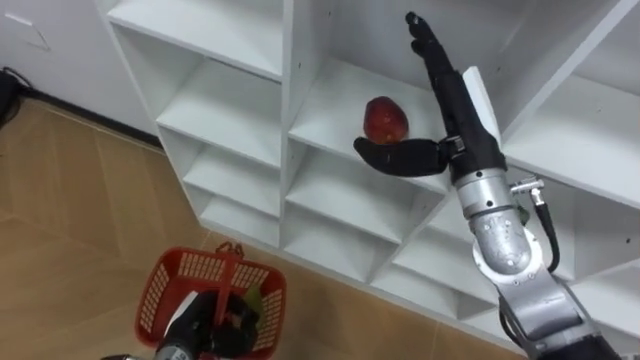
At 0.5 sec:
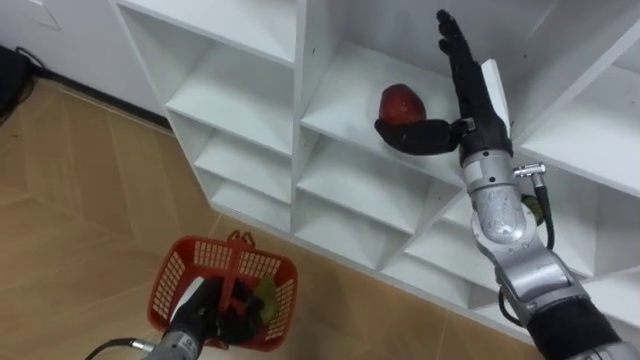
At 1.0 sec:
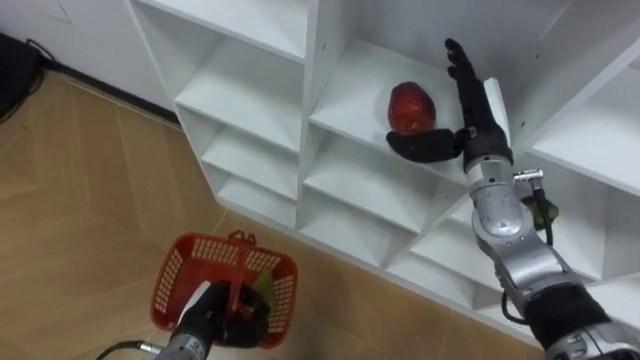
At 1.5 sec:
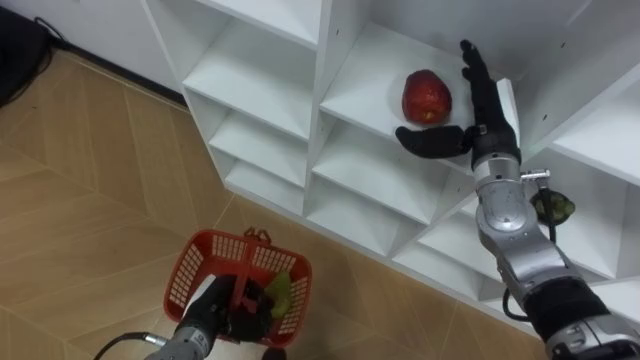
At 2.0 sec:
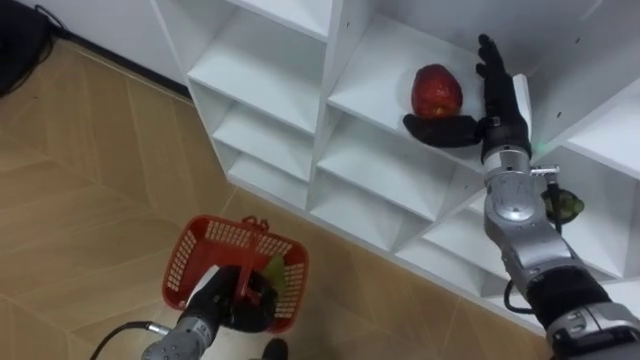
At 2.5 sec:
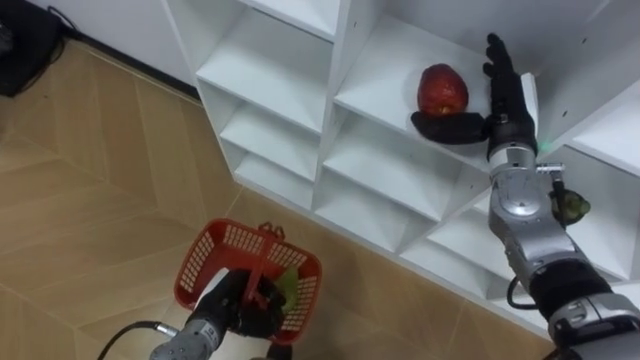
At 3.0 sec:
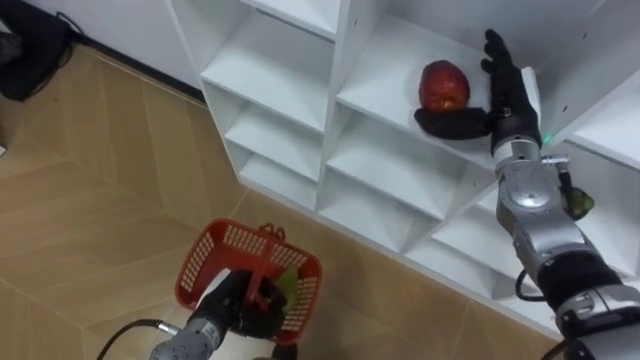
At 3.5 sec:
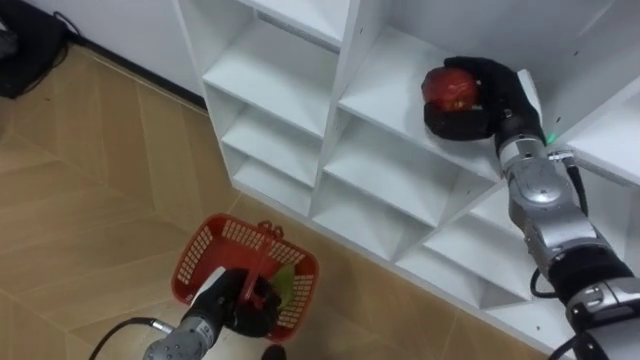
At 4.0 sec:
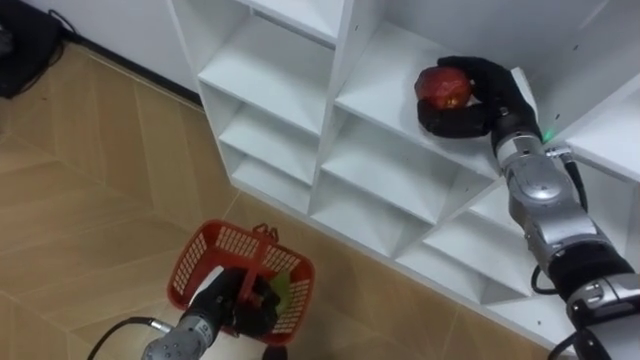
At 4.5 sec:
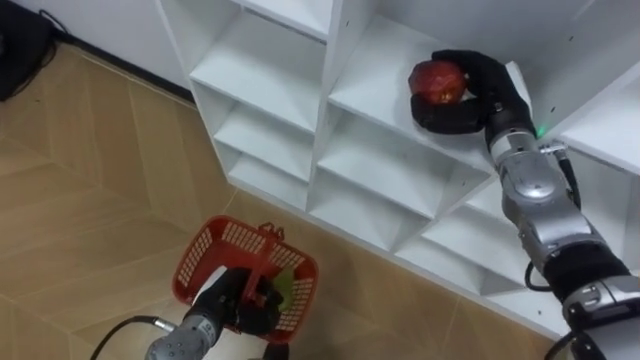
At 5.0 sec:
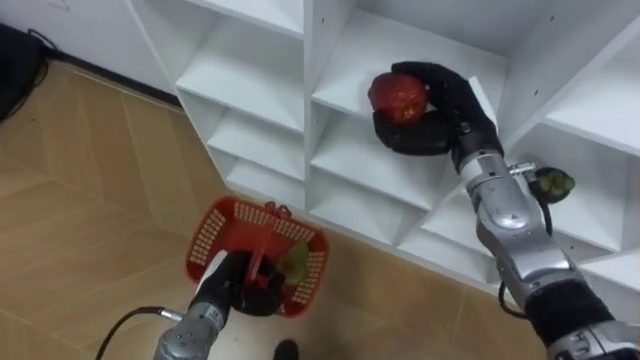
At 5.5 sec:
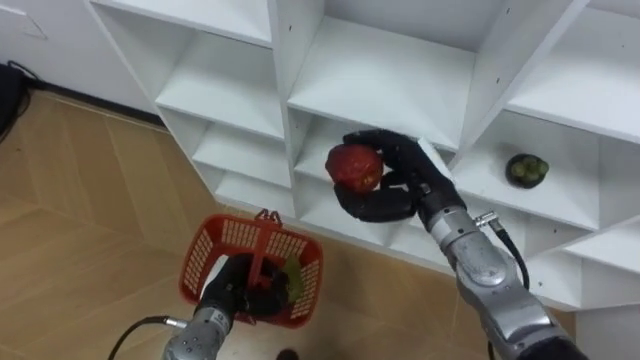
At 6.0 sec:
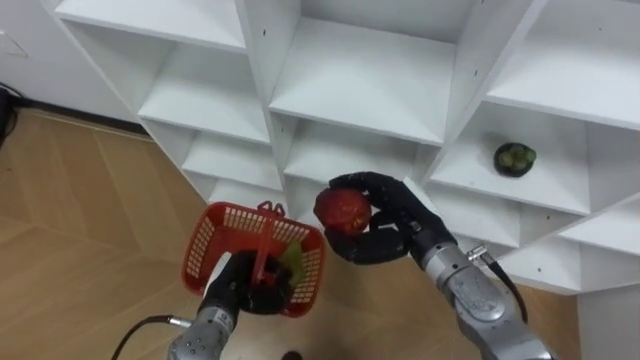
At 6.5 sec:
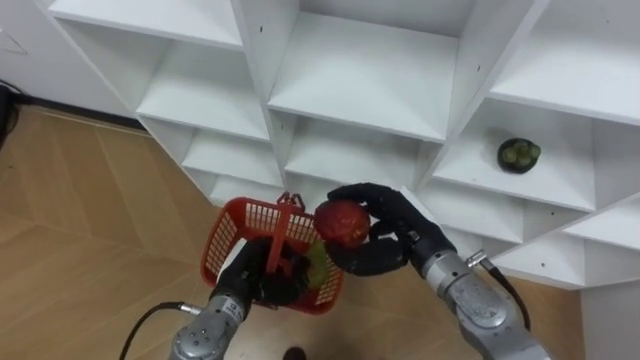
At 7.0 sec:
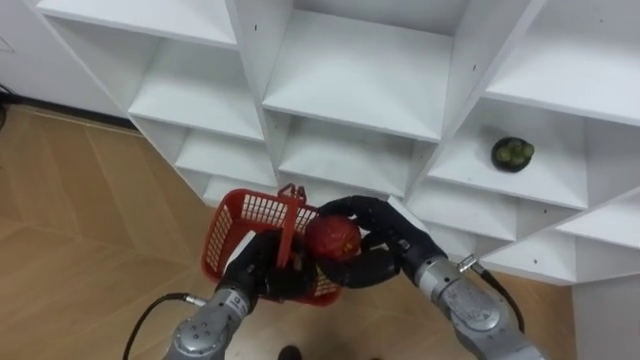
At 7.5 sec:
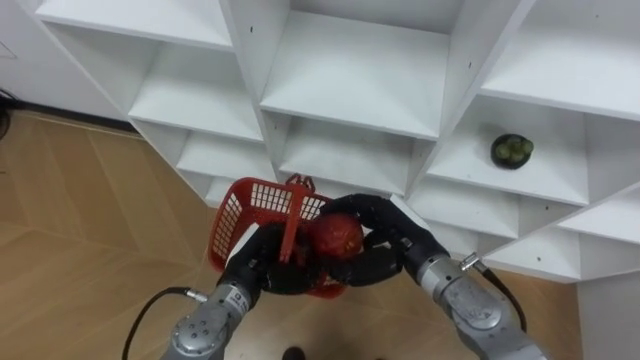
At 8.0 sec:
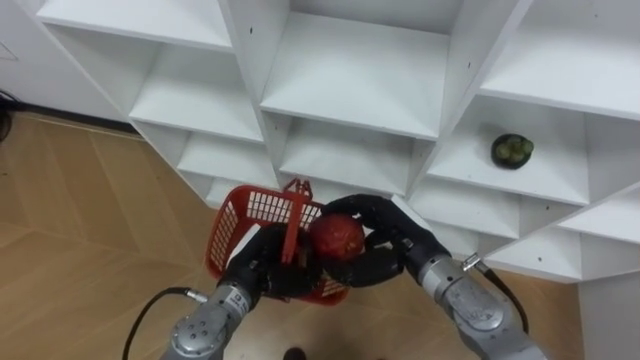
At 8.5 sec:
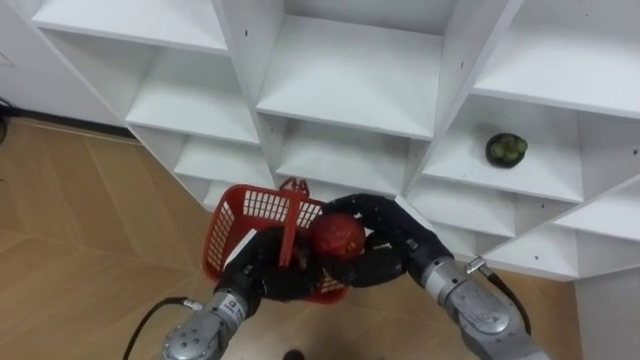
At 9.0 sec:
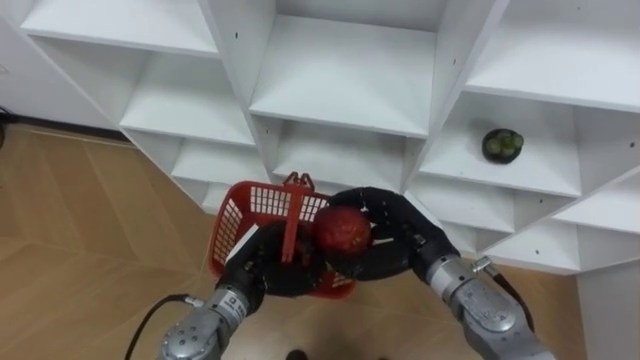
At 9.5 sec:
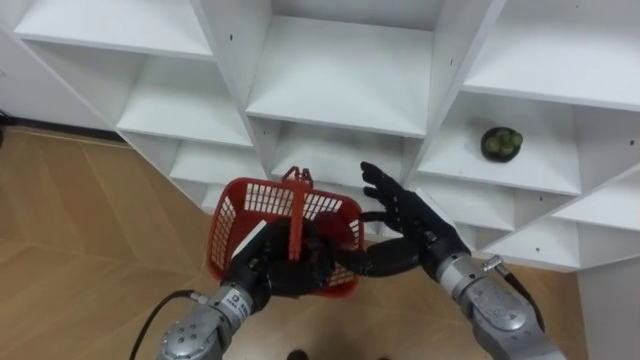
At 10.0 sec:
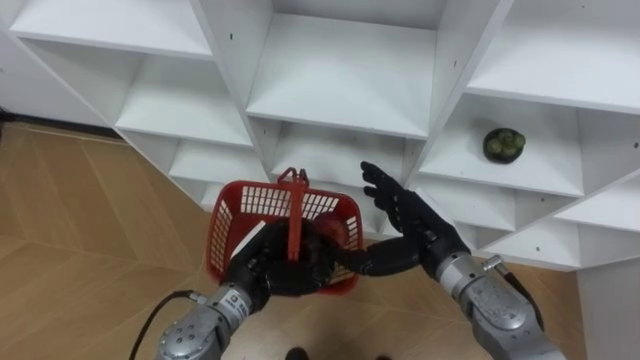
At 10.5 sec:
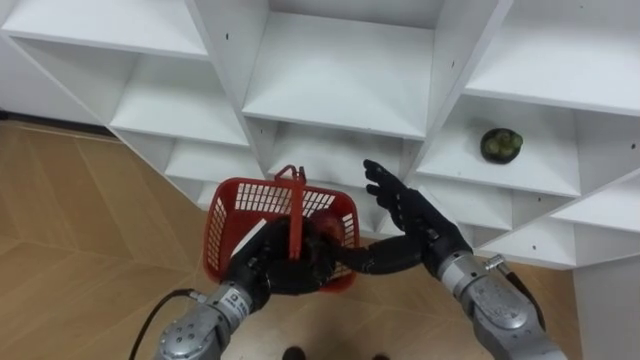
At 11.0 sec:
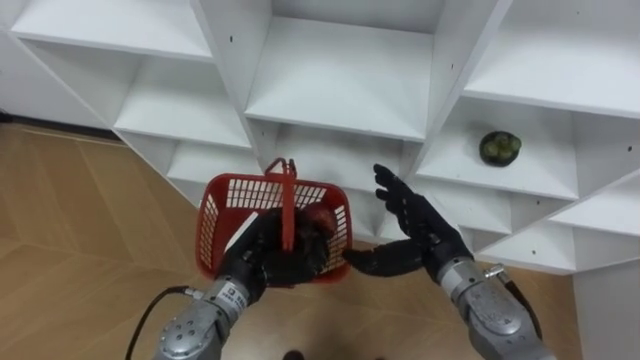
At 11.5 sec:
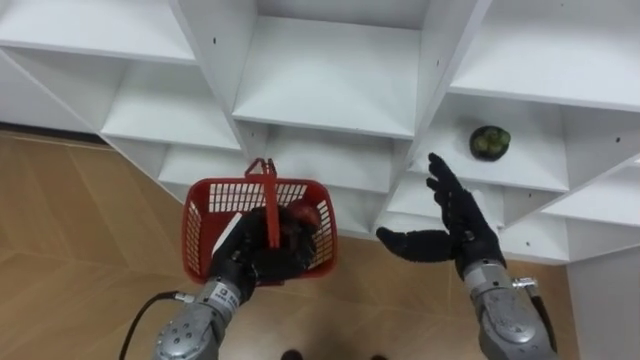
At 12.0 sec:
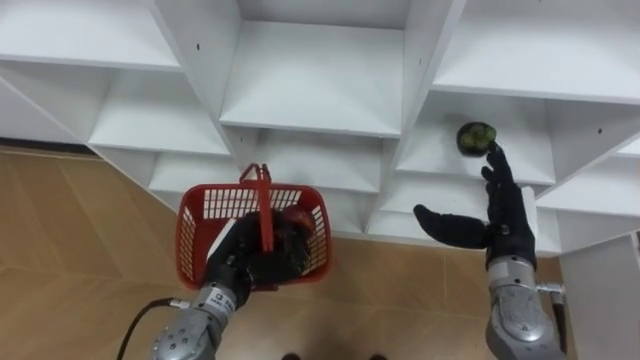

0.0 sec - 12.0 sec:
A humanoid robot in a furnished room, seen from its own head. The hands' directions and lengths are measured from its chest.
Task of the whole recording: Hold the basket and collect the fruits from 3 different cells of the closet into it.
0.0 sec - 2.0 sec: The right hand moves to the right, forward and downward, about 10 cm.
2.0 sec - 4.0 sec: The right hand closes up.
4.0 sec - 6.0 sec: The right hand moves backward, to the left and downward, approximately 15 cm.
6.0 sec - 8.0 sec: The left hand is displaced upward by roughly 5 cm.
8.0 sec - 10.0 sec: The right hand opens up.
10.0 sec - 12.0 sec: The right hand heads to the right, covering about 10 cm.

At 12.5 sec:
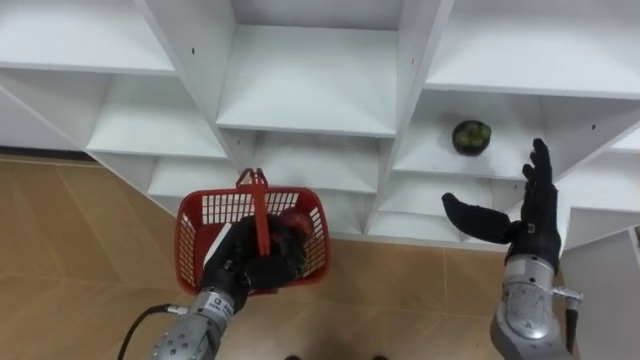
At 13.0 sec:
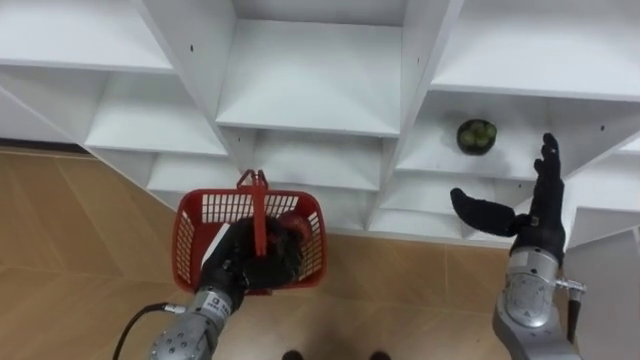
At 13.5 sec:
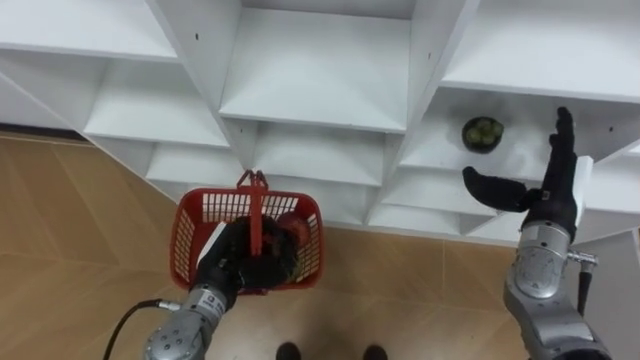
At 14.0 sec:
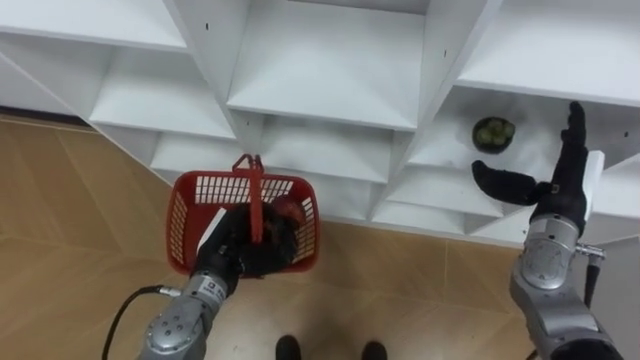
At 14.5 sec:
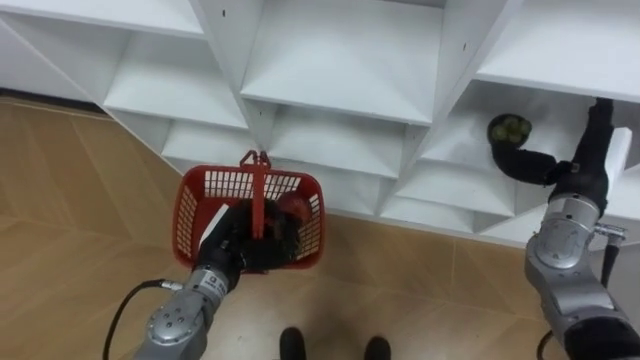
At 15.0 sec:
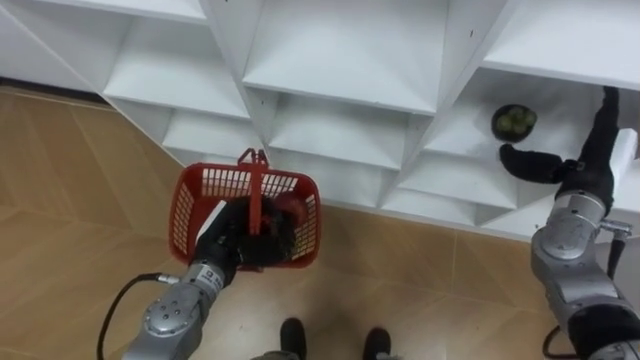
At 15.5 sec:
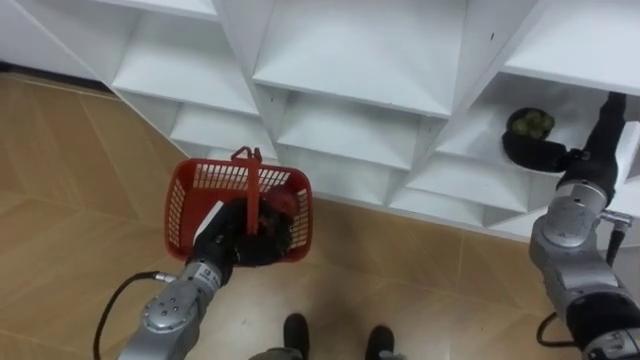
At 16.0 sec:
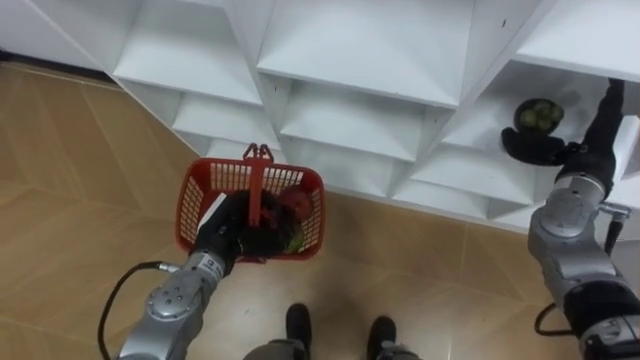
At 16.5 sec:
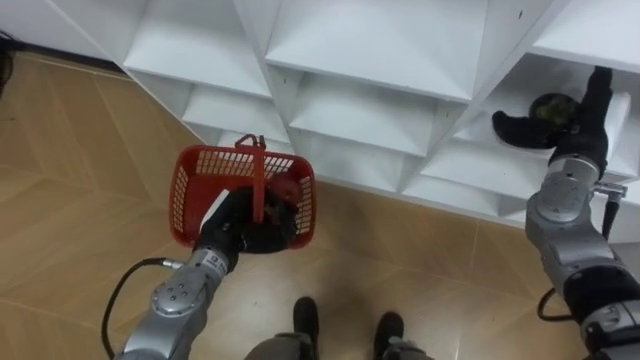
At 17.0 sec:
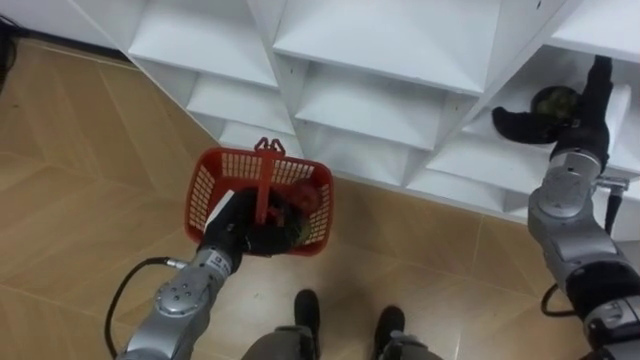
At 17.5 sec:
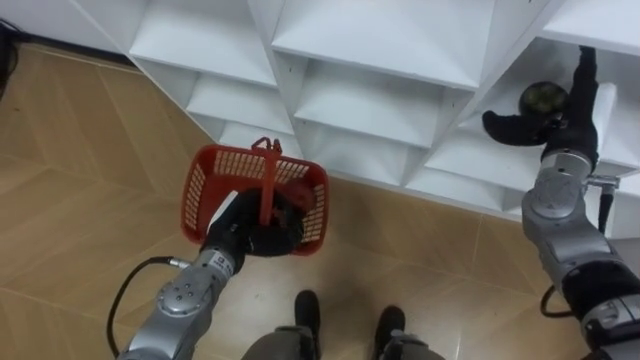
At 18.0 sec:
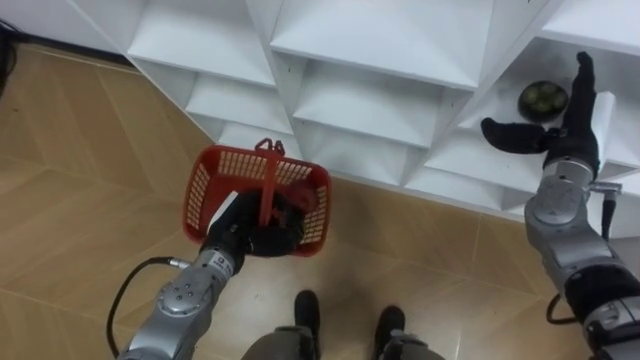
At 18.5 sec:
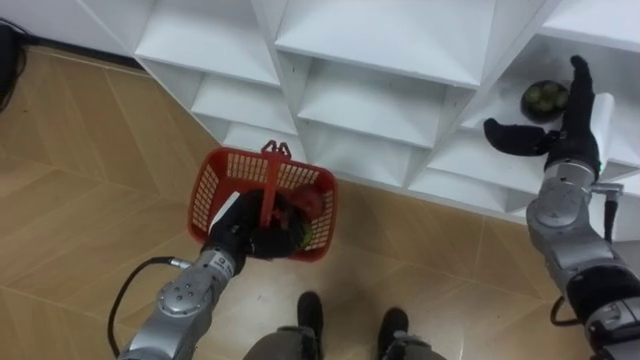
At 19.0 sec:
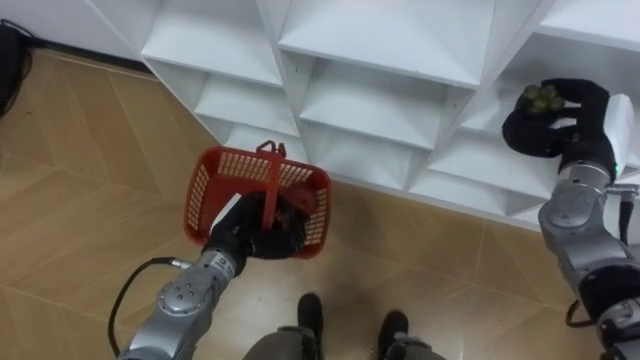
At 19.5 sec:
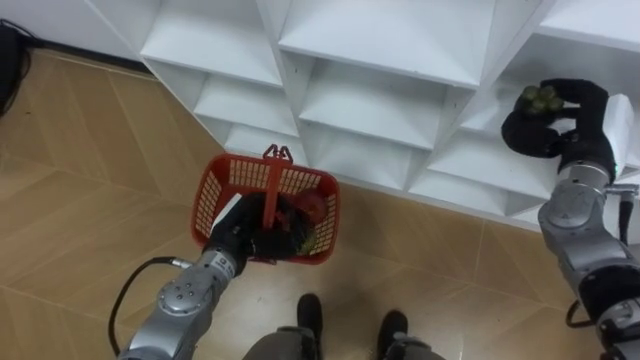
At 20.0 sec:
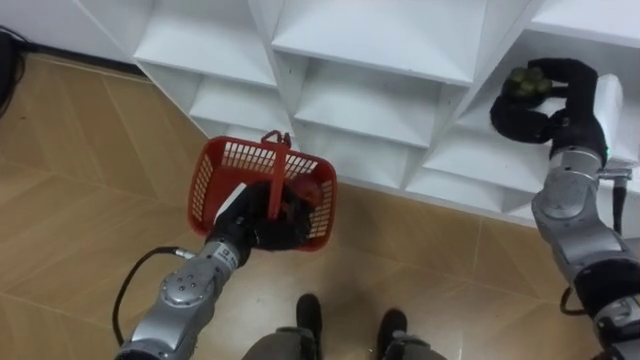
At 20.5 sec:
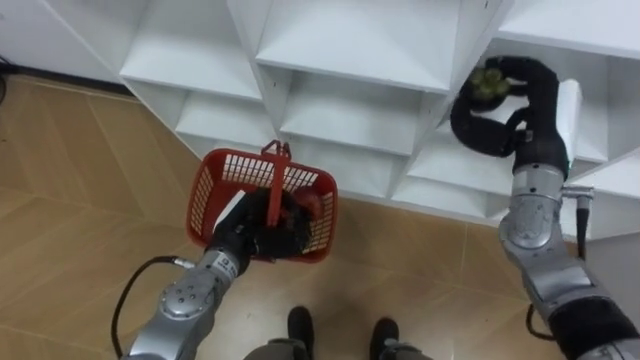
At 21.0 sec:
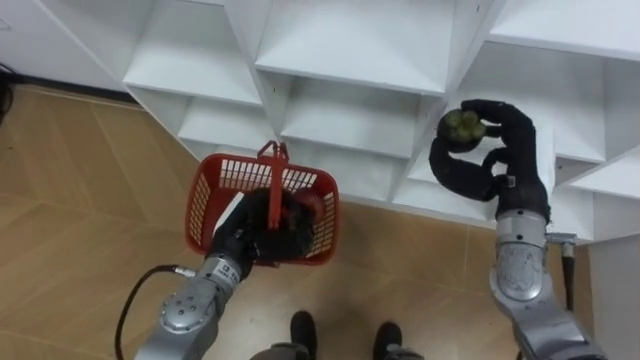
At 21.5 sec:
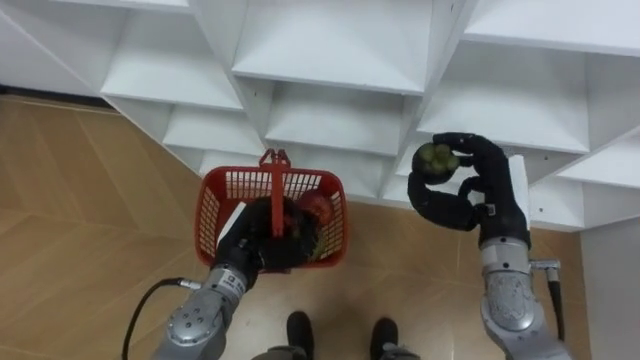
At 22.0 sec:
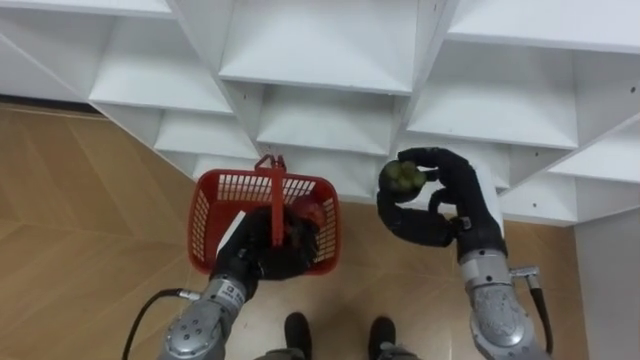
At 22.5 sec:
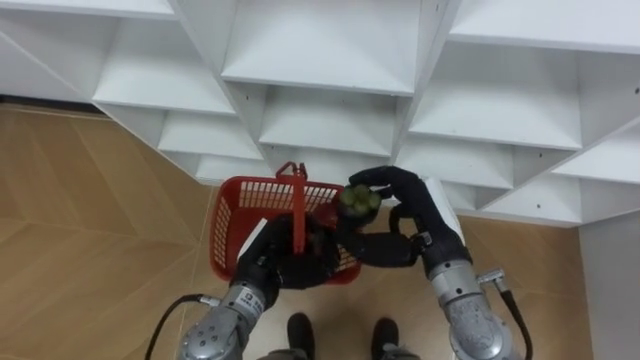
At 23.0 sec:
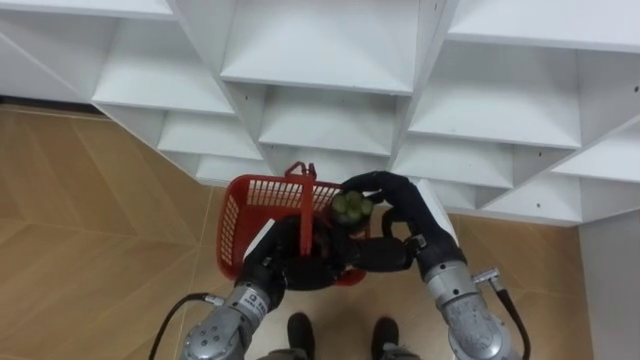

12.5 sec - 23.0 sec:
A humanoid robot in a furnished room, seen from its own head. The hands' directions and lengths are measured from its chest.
Task of the whole recording: Hold the basket and collect the fruits from 3 different cells of the closet into it.
12.5 sec - 14.5 sec: The right hand is displaced to the right and forward by roughly 5 cm.
16.5 sec - 19.0 sec: The right hand closes up.
19.0 sec - 21.0 sec: The right hand travels to the left by some 10 cm.
21.0 sec - 23.0 sec: The left hand shifts by some 5 cm. The right hand travels to the left by roughly 10 cm.
